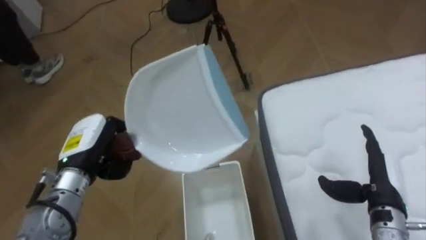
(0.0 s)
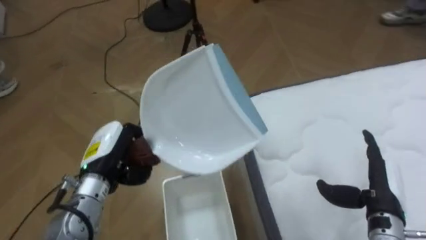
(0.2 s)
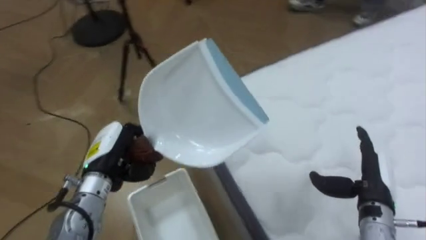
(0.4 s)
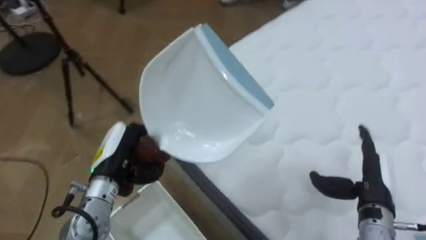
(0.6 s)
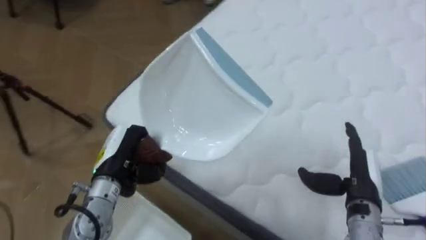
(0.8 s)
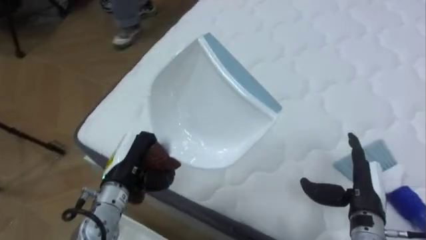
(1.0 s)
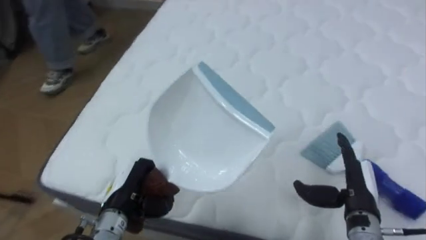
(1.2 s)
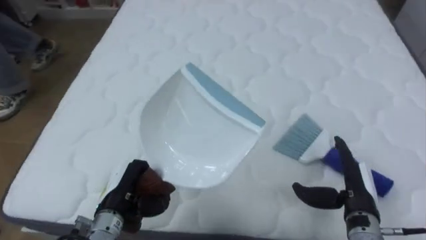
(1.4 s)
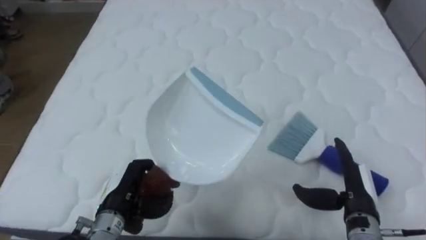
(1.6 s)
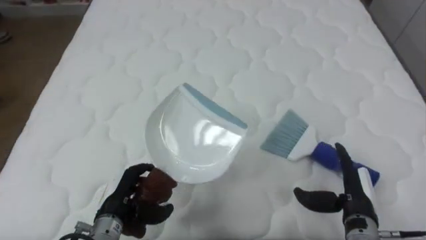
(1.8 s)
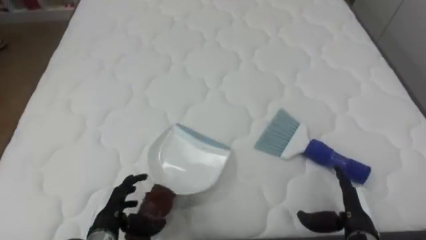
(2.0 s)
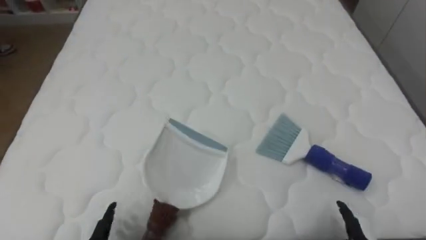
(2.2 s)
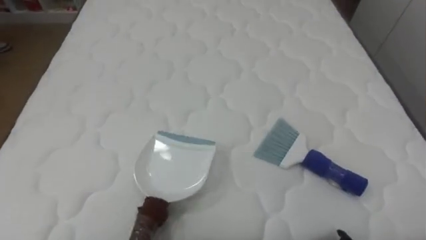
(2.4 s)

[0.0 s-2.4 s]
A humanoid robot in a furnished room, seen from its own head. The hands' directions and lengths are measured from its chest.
Task of the whole recording: Pick up the brush on your right and the dustpan on your left. Use the brush to sweep the crumpled paper on the bed into the dustpan, then turn left and empty it into the basket.
0.0 to 1.2 s: The robot faces some 75 degrees further to its right. The left hand shifts approximately 10 cm downward, to the right and backward.
1.2 to 2.4 s: The robot turns to its right by roughly 15 degrees.

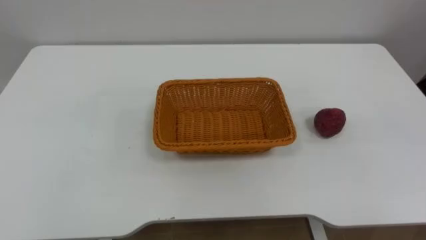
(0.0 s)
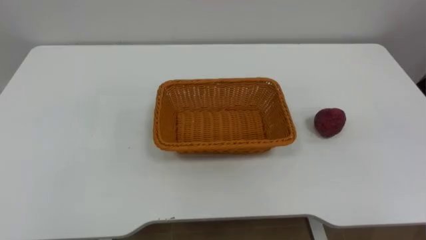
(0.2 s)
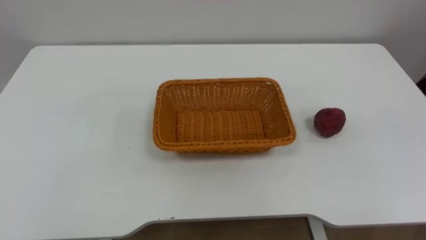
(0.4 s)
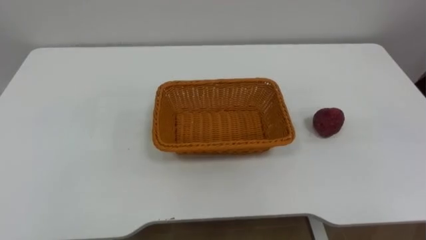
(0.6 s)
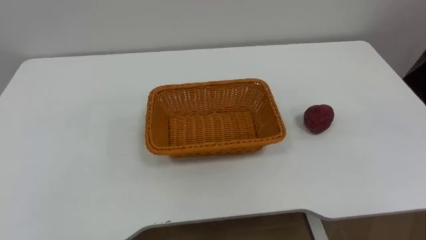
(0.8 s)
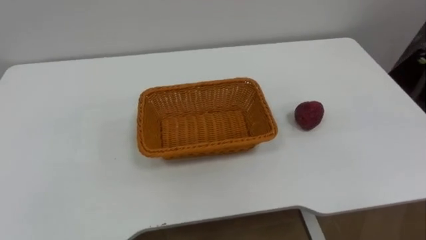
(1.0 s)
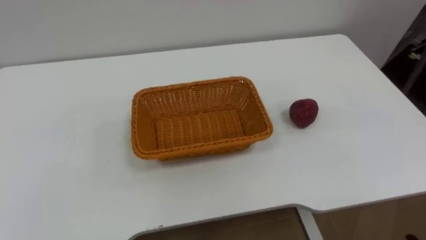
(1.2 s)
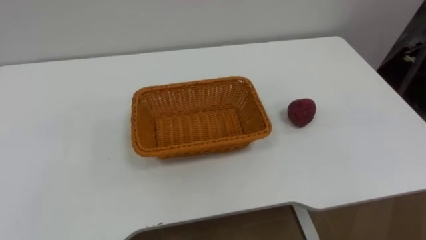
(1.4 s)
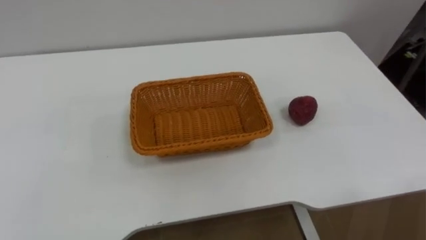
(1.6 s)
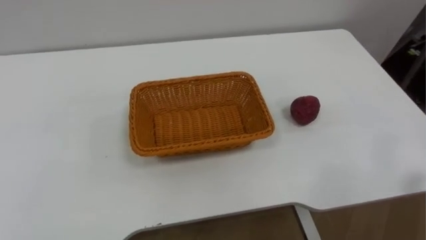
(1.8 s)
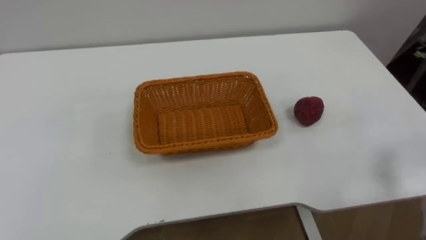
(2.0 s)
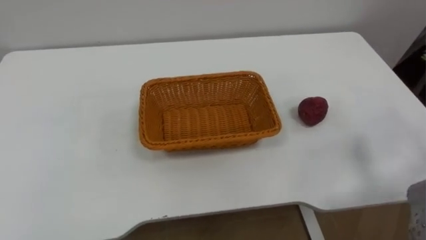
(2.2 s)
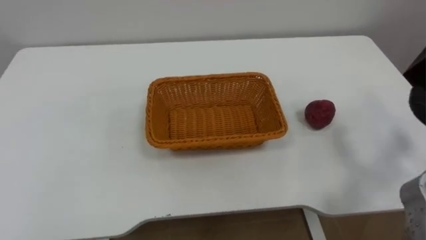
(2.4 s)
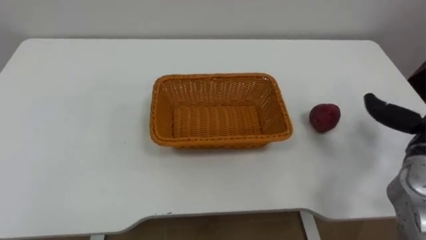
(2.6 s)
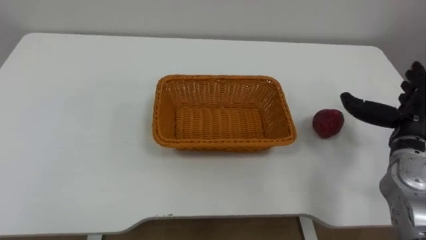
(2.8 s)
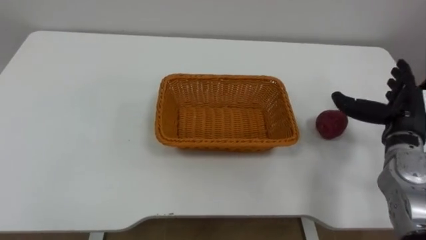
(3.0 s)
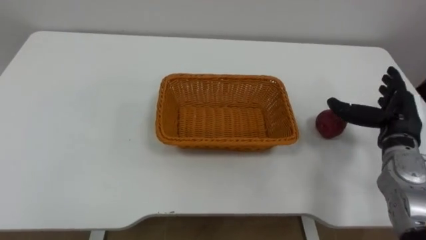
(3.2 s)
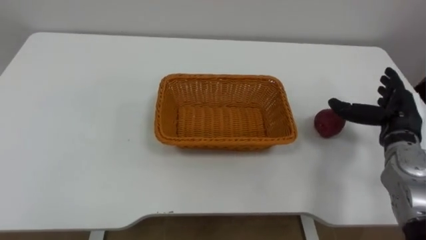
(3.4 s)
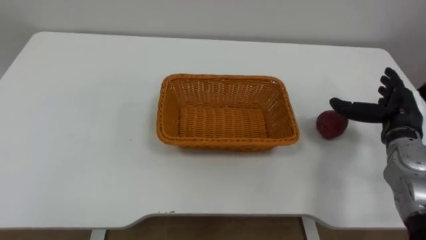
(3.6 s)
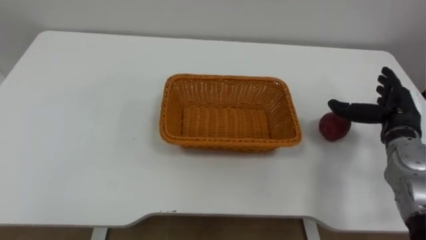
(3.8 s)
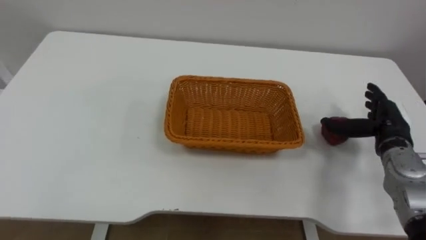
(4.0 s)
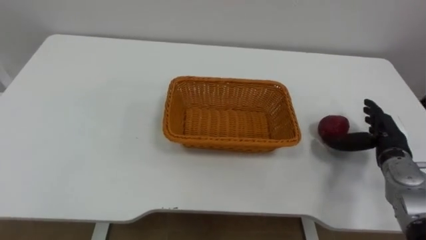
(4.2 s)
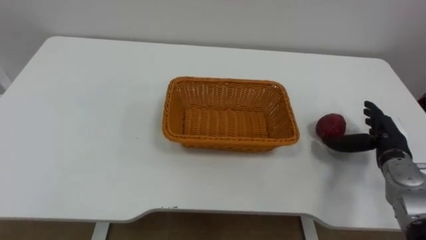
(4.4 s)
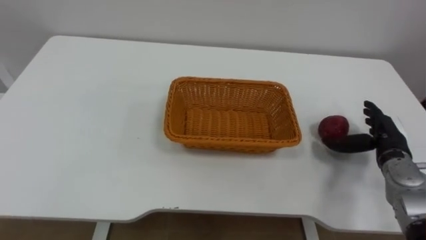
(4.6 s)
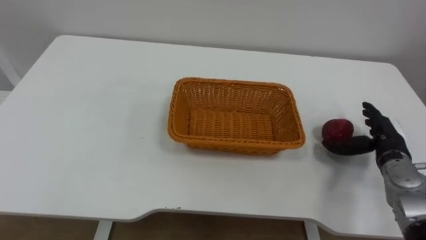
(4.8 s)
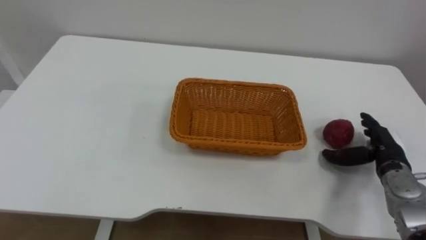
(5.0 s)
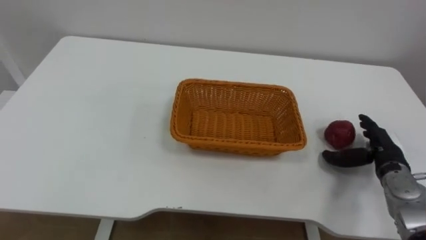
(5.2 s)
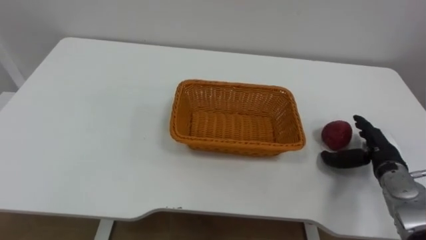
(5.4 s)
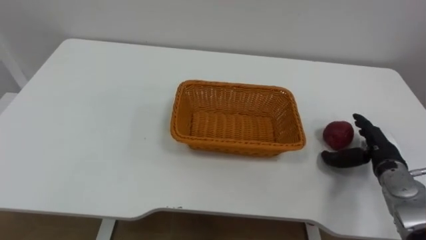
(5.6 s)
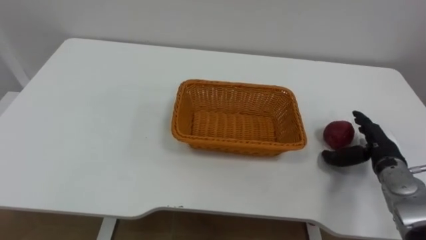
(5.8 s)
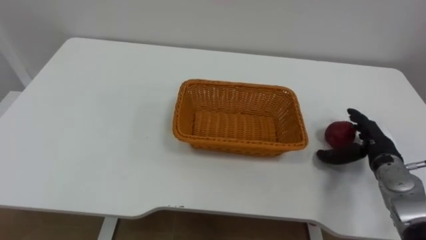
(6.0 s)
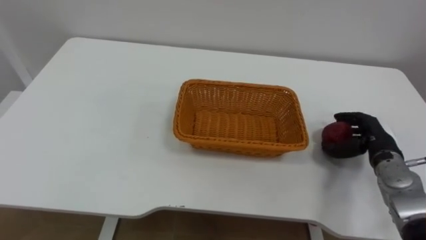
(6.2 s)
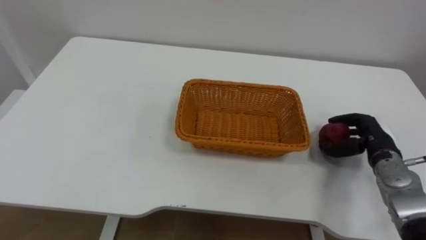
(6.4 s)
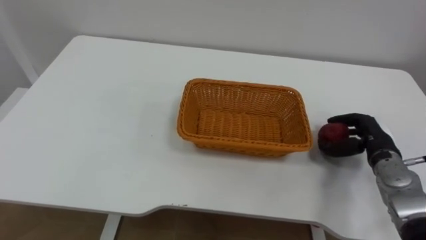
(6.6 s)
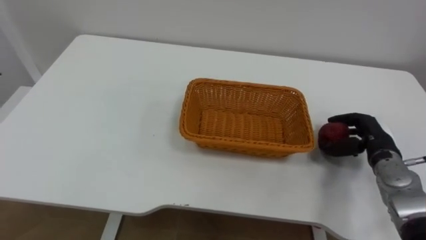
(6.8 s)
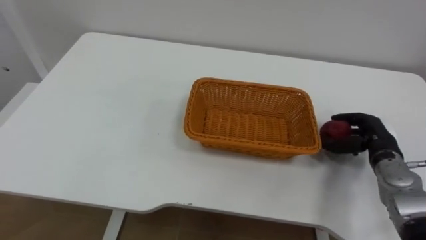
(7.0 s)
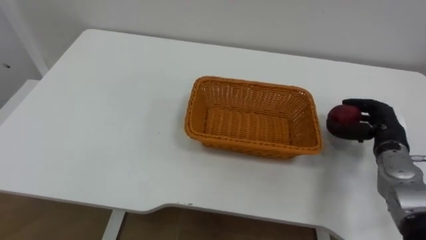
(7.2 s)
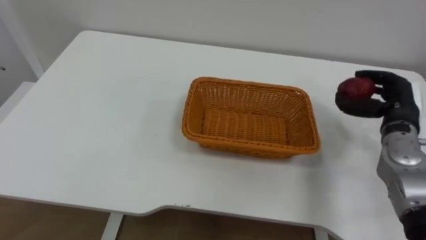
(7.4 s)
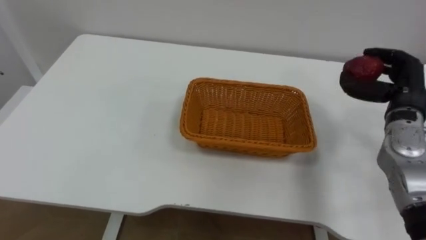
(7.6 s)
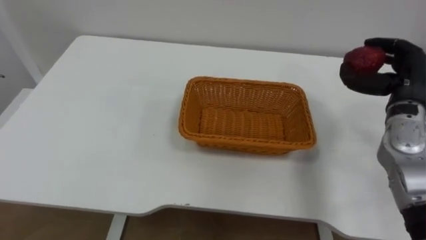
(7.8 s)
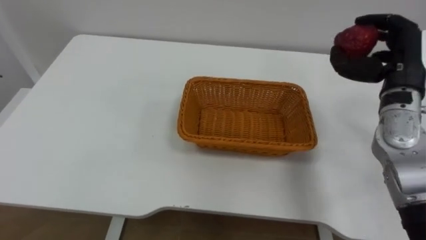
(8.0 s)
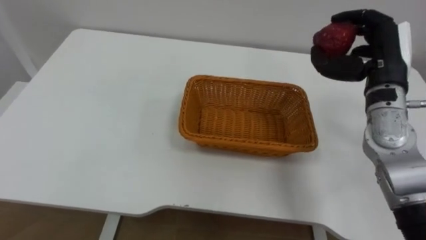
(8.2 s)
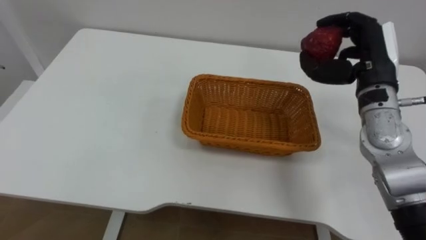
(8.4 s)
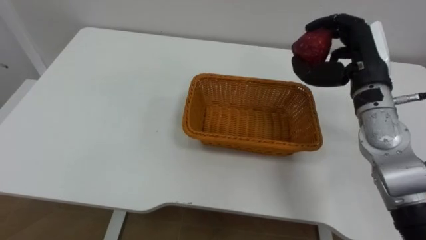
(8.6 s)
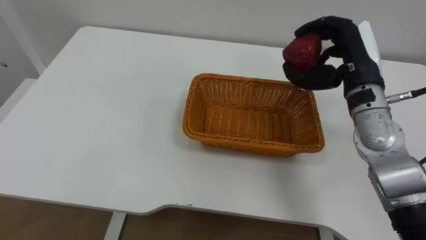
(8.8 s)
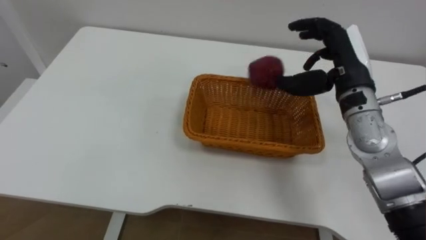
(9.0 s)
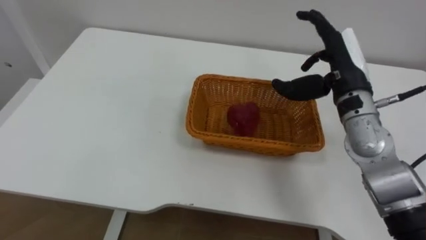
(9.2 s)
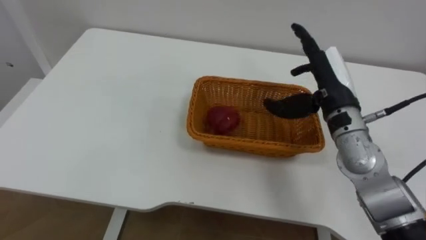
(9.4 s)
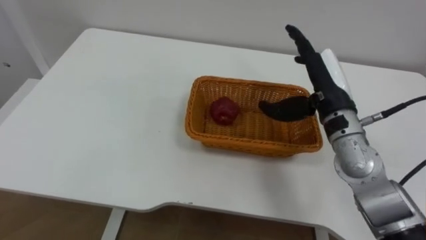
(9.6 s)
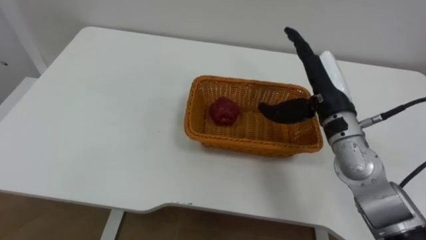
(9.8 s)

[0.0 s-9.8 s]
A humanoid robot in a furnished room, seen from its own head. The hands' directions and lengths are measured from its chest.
Task of the whole recording: Pick the apple and place it in the box.
2.8 to 4.2 s: The right hand travels downward by about 10 cm.
5.6 to 7.0 s: The right hand closes.
7.0 to 8.4 s: The right hand shifts some 20 cm upward.
8.4 to 9.8 s: The right hand heads to the left, covering some 5 cm, and opens up.

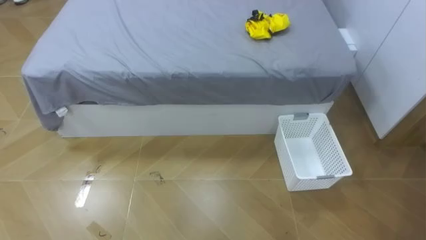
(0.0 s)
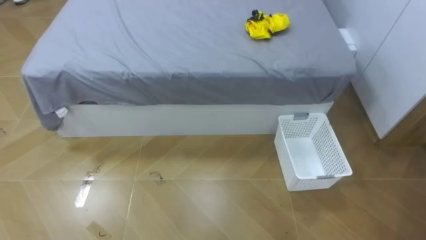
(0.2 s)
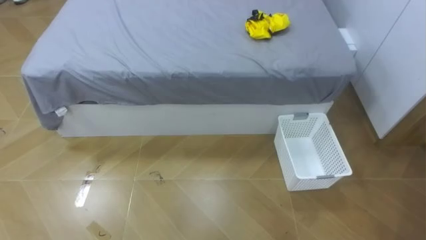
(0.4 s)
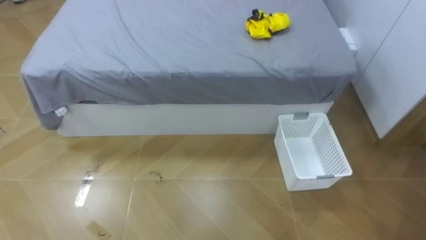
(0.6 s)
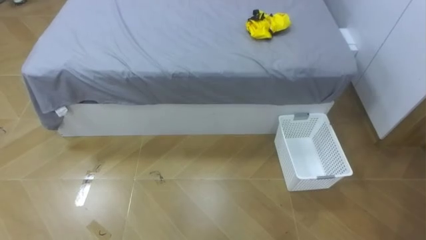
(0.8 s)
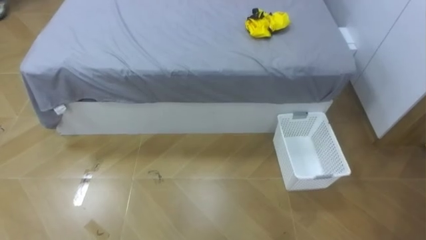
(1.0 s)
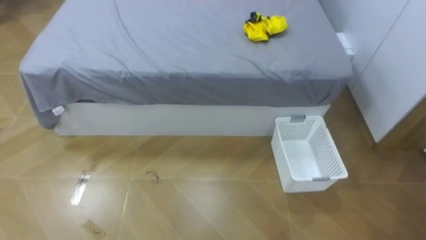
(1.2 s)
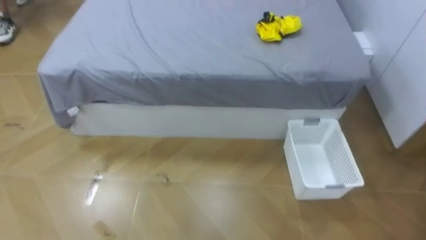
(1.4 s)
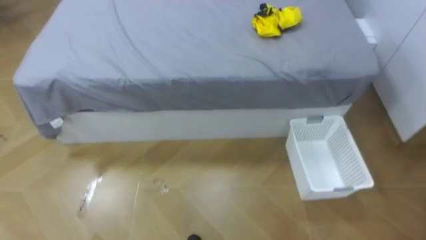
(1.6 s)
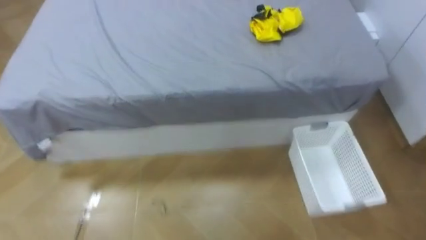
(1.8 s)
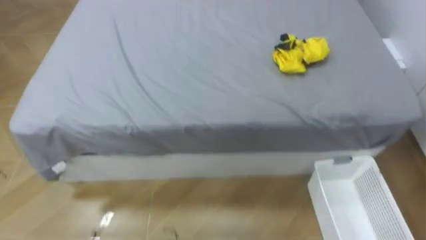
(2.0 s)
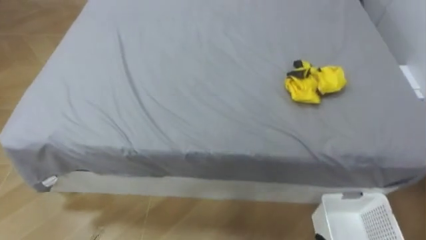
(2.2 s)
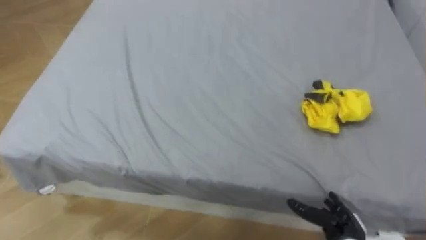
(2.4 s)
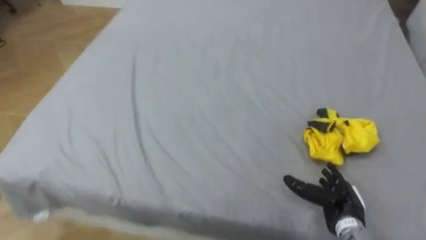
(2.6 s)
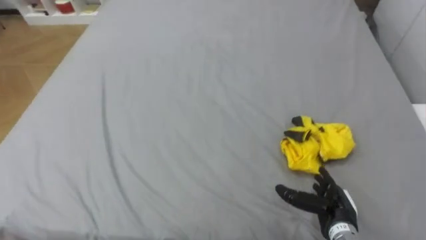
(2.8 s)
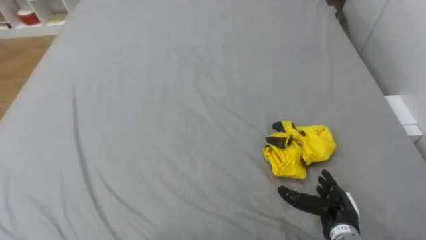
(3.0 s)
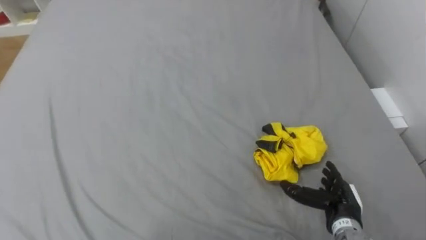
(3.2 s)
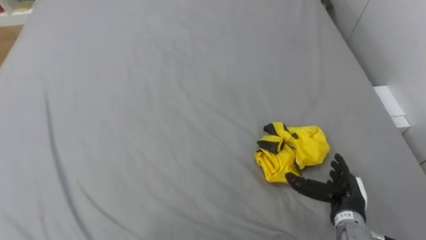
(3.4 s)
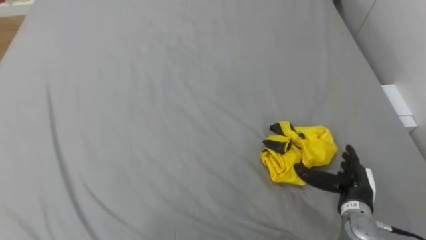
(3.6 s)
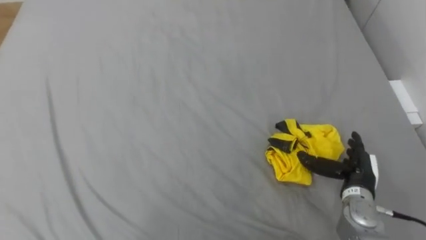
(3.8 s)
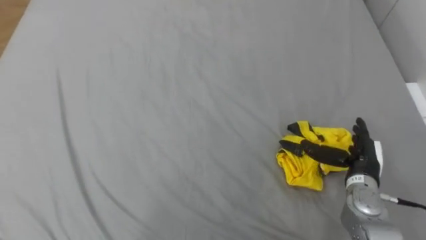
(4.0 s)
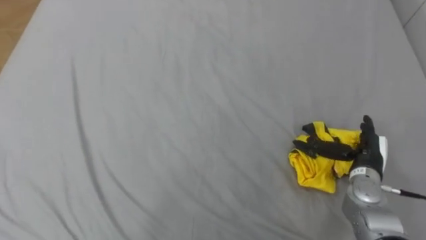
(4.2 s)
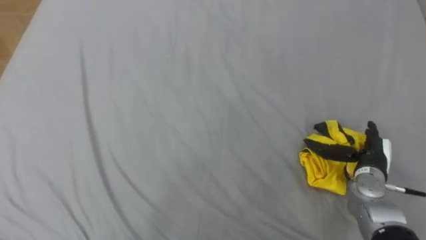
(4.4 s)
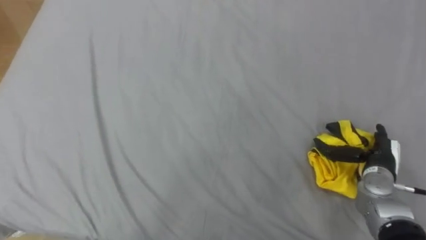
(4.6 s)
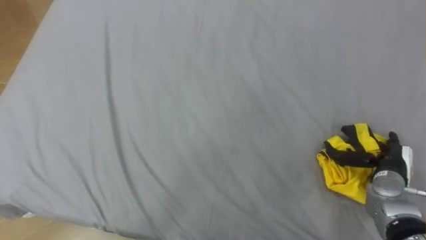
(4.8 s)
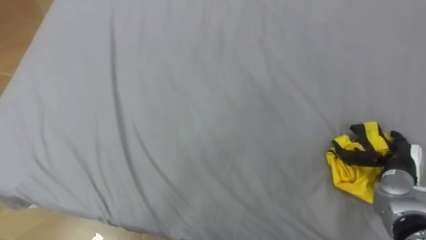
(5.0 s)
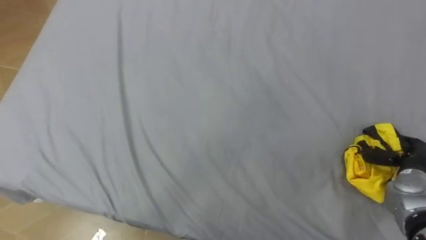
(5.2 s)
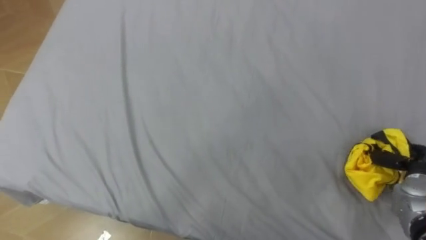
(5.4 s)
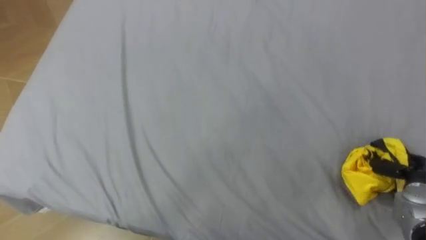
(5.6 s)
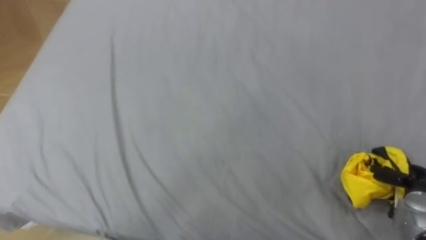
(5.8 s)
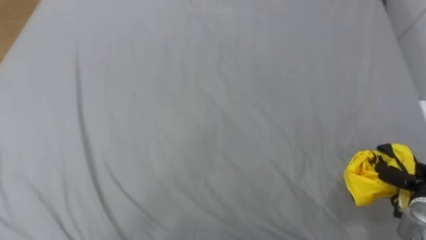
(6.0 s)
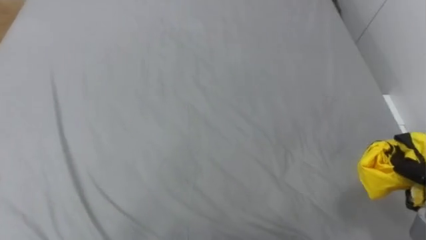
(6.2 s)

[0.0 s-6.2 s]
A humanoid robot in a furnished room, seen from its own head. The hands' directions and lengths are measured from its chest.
Task of the whole recording: Pick up the yellow clothes on the bed and place them into the white basket on the right.
3.2 to 4.6 s: The right hand travels forward and to the right by approximately 10 cm.
